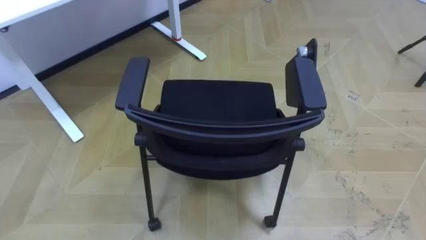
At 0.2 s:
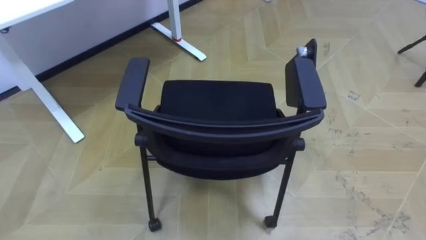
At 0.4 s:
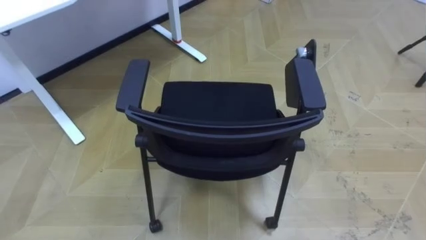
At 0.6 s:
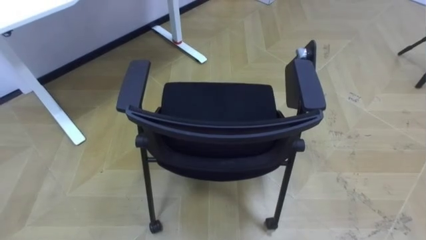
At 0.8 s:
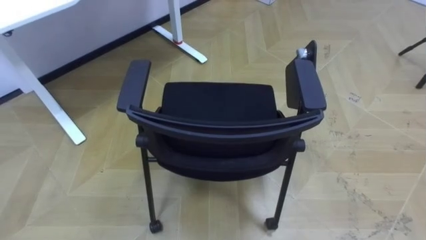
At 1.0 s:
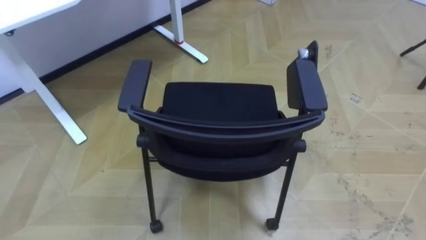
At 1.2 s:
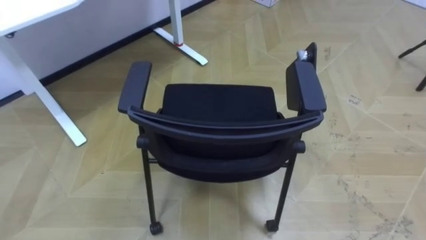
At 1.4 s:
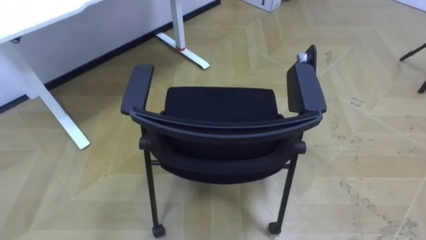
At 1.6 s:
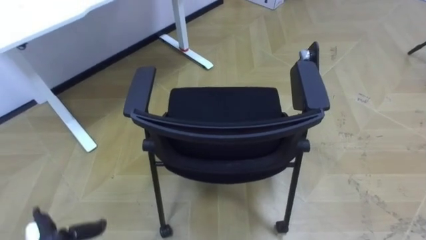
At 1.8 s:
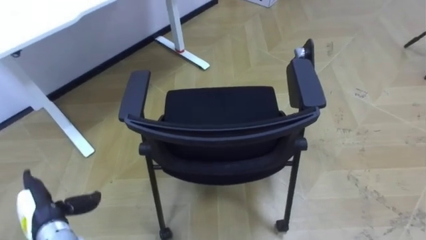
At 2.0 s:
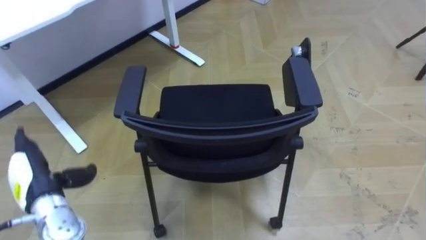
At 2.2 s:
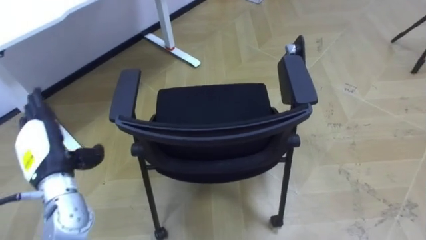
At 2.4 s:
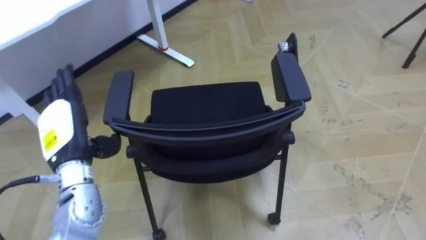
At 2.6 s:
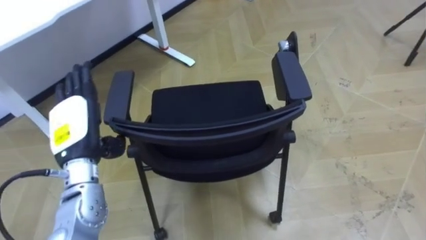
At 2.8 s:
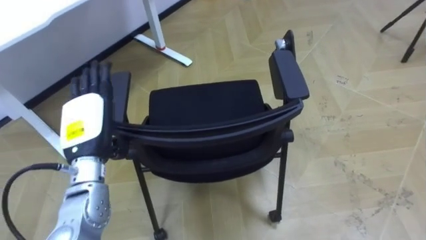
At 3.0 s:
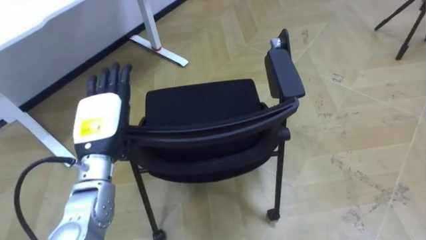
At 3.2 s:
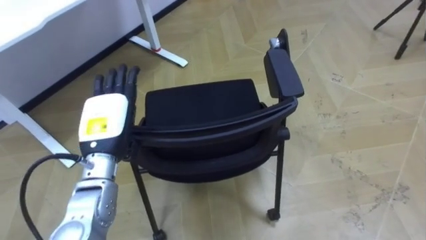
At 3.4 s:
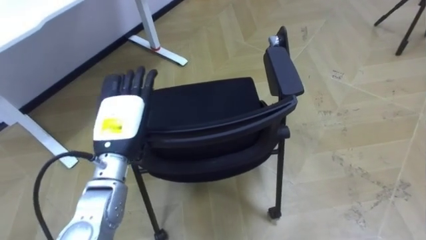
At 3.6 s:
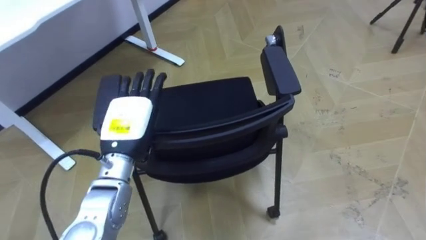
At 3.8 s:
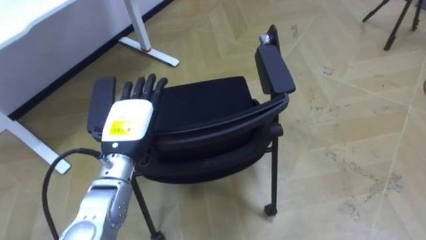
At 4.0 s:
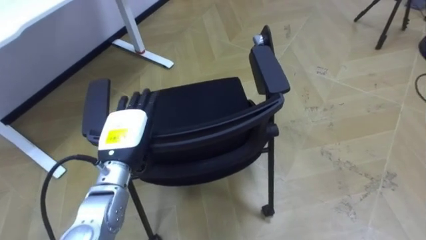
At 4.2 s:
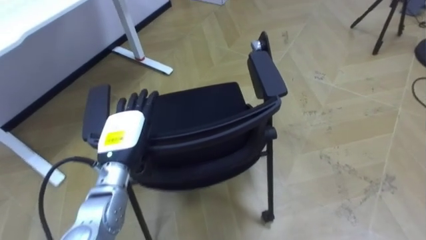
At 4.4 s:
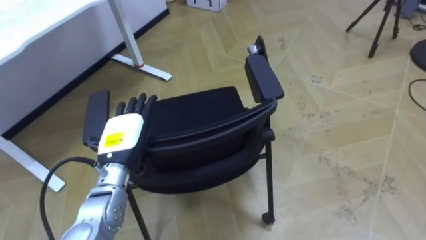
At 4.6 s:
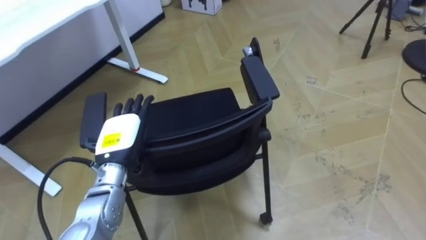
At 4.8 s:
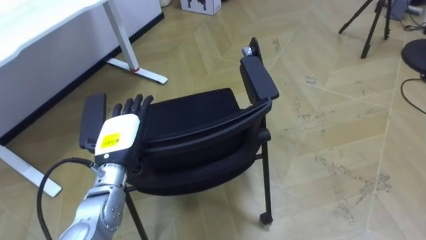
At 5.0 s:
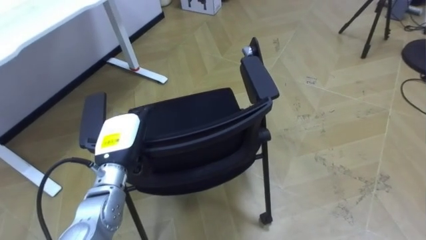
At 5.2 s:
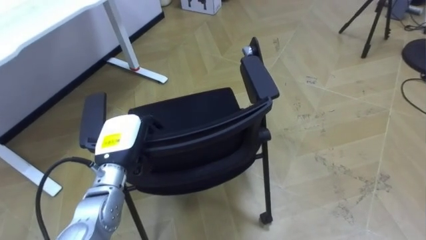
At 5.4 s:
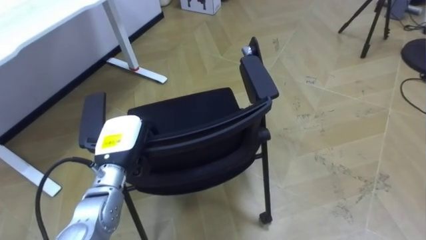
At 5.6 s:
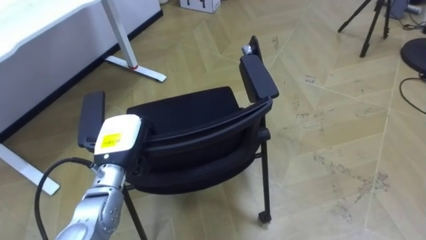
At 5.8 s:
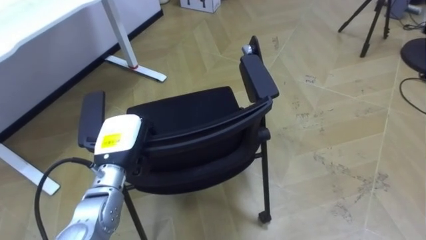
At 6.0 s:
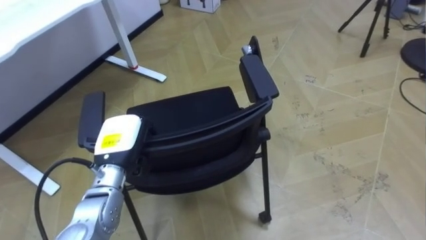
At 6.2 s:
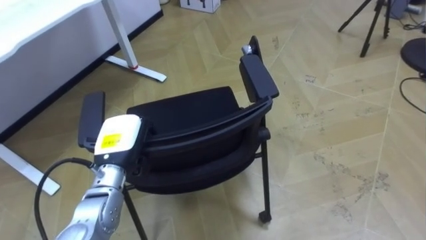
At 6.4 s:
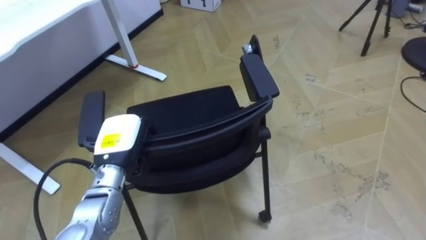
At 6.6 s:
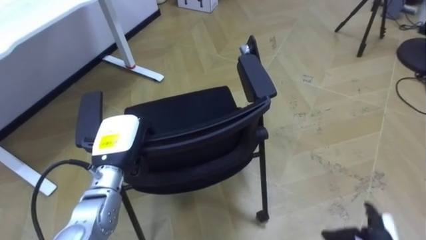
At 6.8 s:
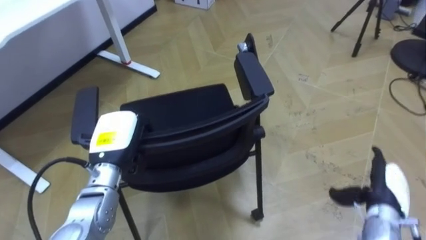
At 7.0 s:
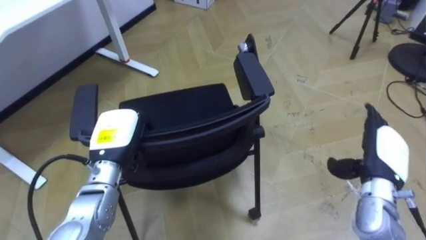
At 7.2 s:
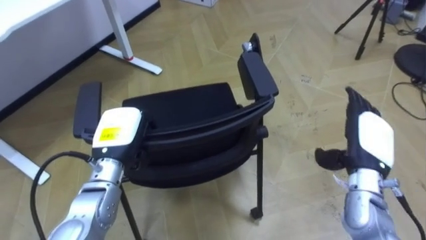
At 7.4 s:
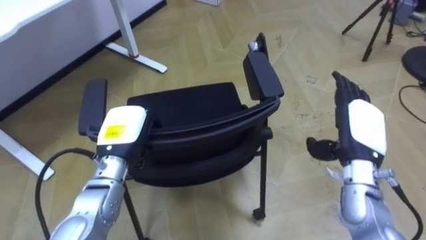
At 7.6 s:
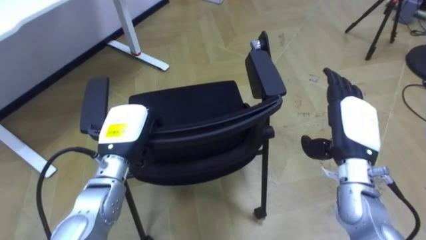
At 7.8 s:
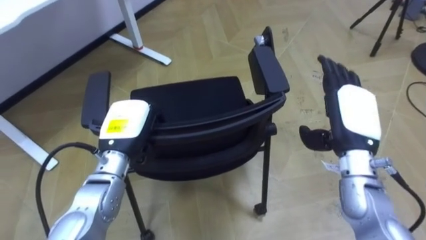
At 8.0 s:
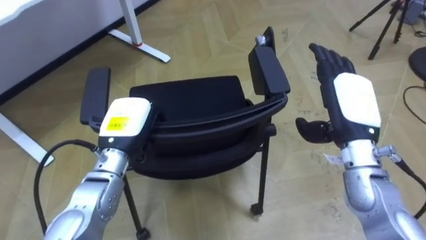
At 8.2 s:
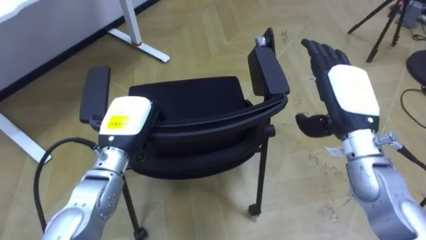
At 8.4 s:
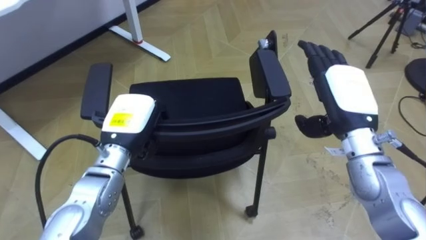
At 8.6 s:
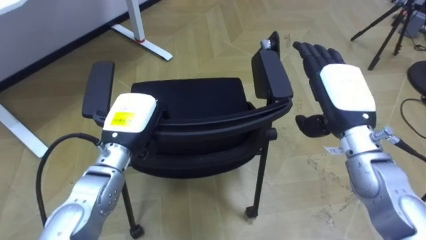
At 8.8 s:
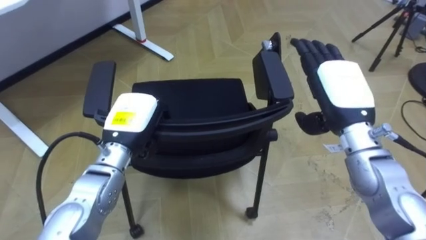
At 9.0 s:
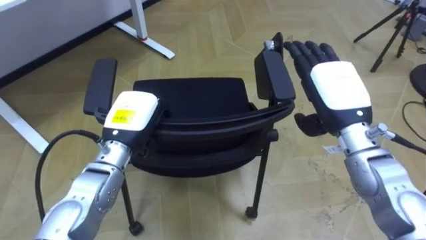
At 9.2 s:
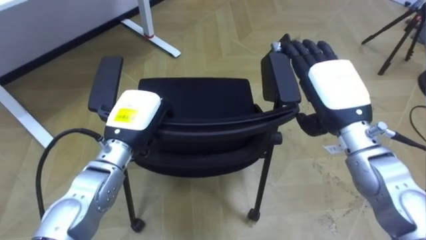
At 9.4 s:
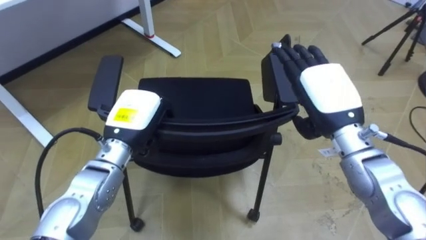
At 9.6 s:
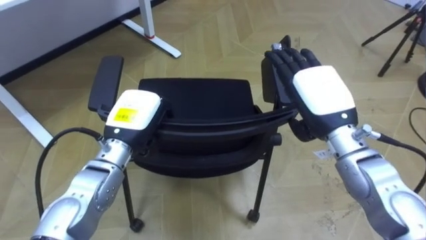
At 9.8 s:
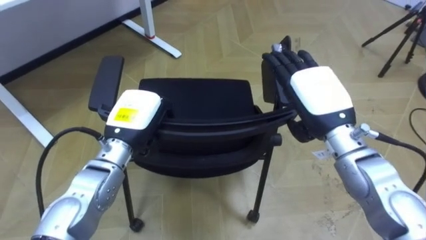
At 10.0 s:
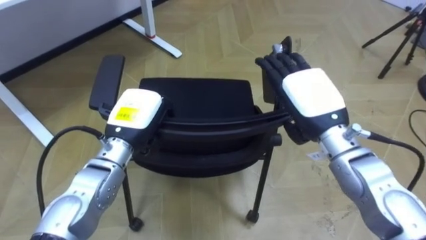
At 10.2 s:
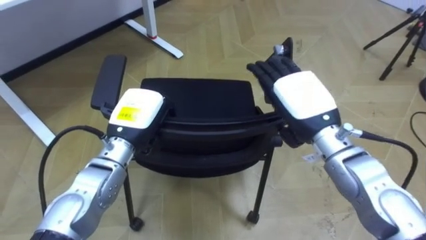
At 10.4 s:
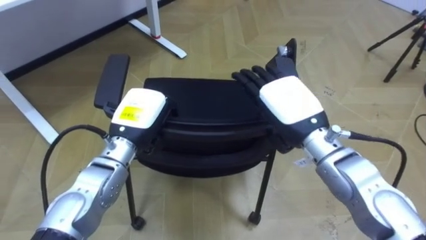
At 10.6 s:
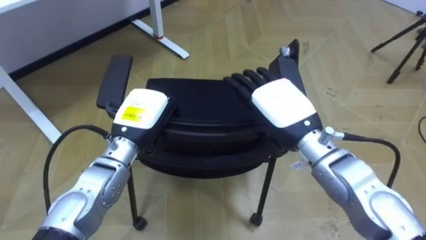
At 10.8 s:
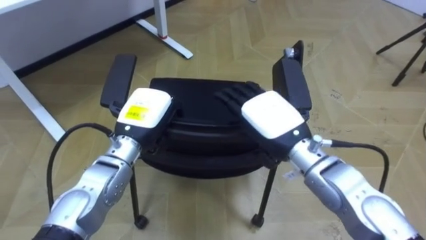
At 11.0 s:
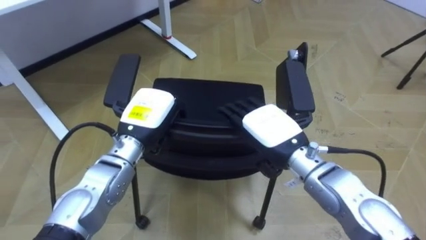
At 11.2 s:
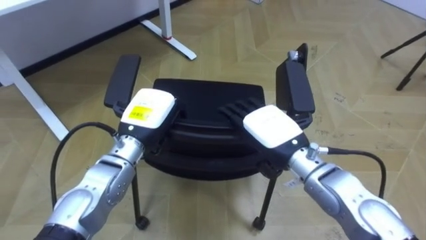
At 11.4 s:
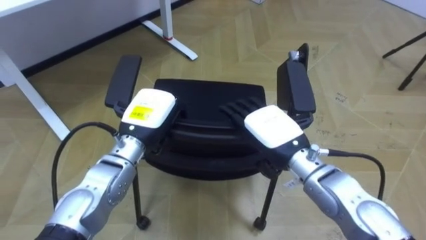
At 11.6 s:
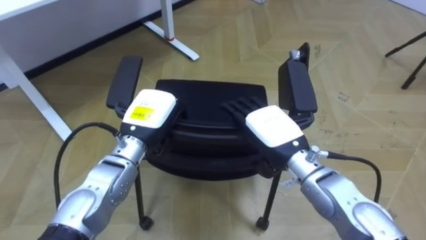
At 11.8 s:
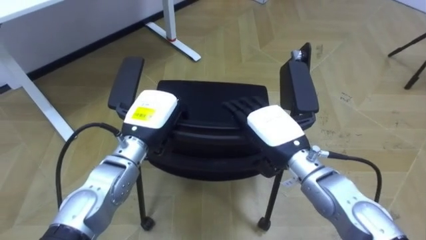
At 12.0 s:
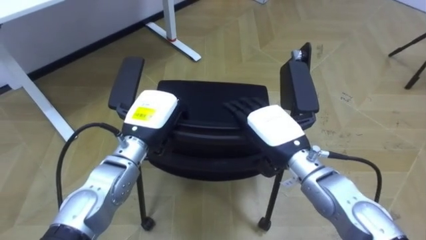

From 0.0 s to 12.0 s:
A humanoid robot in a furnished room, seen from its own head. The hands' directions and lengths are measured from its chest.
Task of the whole recording: Push the chair under the table.
From 3.0 s to 4.4 s: The left hand travels downward by about 5 cm.
From 4.4 s to 6.0 s: The left hand closes.
From 7.6 s to 9.0 s: The right hand travels upward by some 5 cm.
From 9.0 s to 10.4 s: The right hand shifts some 5 cm to the left.
From 10.4 s to 12.0 s: The right hand goes roughly 5 cm downward.

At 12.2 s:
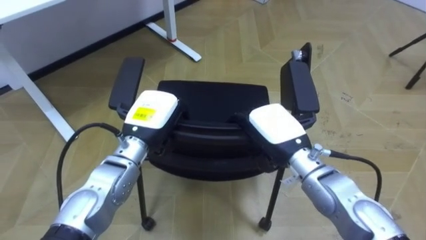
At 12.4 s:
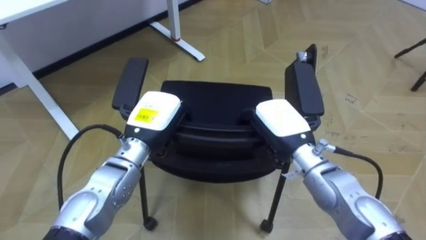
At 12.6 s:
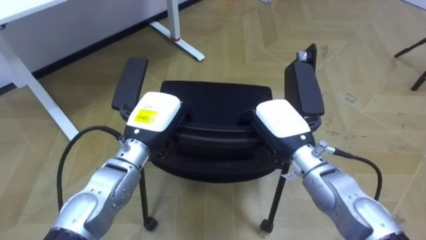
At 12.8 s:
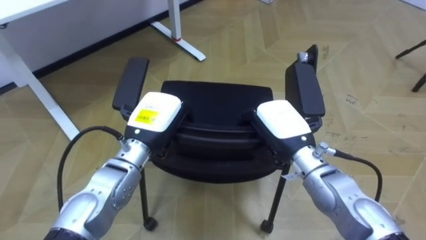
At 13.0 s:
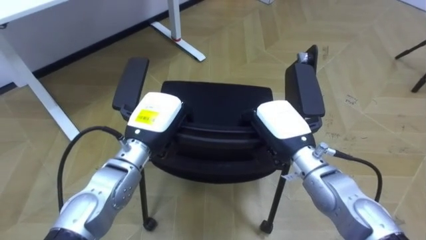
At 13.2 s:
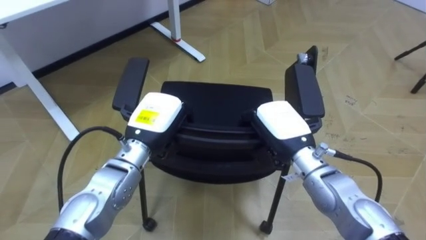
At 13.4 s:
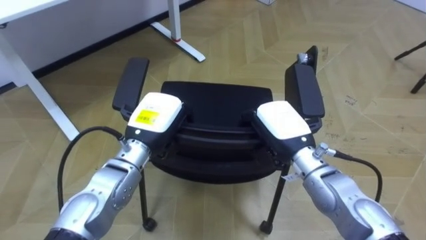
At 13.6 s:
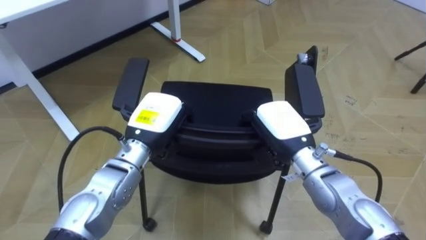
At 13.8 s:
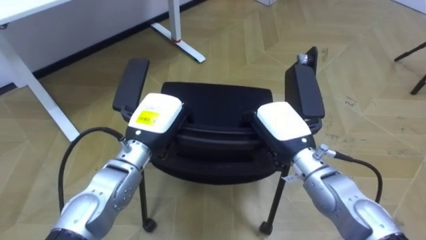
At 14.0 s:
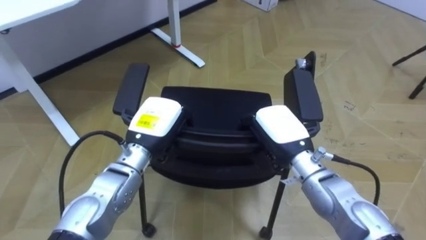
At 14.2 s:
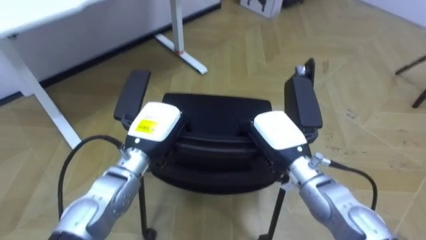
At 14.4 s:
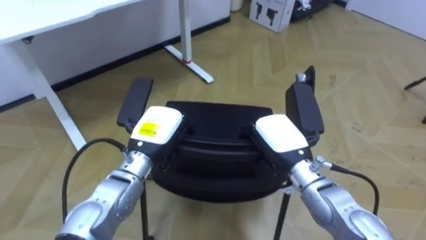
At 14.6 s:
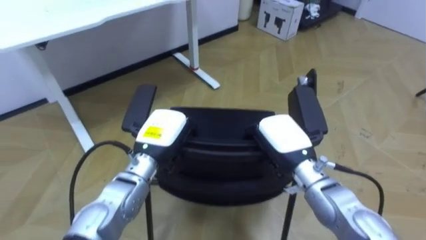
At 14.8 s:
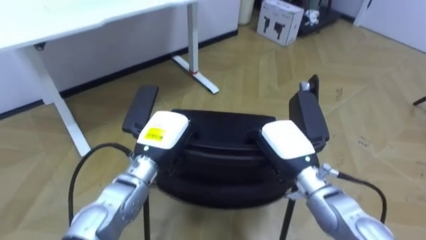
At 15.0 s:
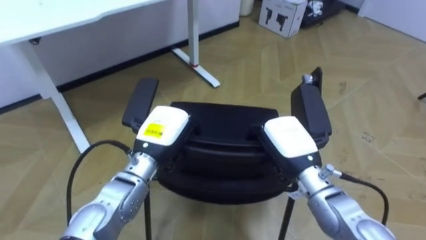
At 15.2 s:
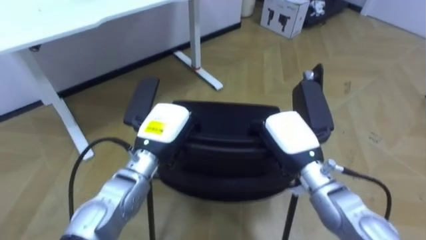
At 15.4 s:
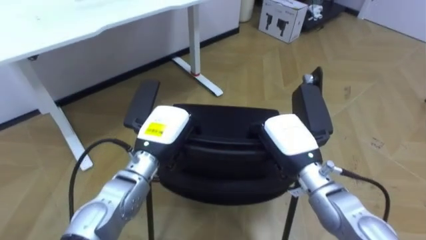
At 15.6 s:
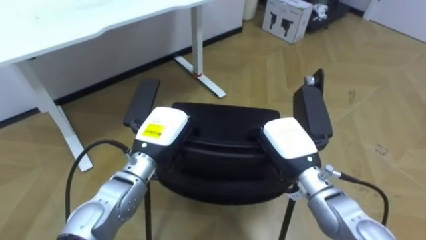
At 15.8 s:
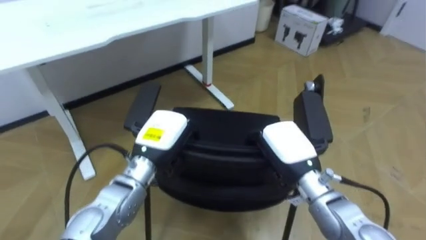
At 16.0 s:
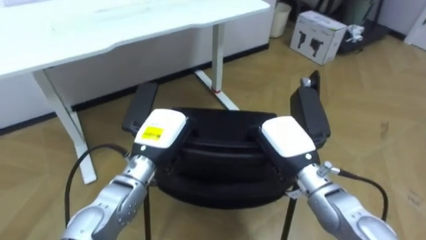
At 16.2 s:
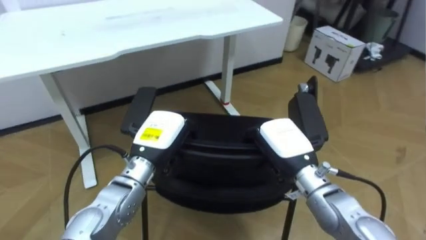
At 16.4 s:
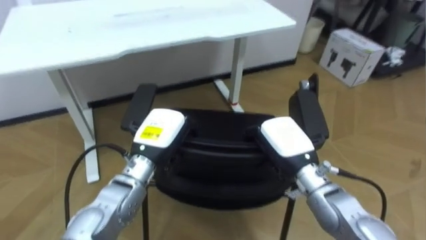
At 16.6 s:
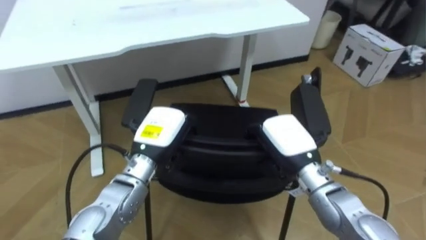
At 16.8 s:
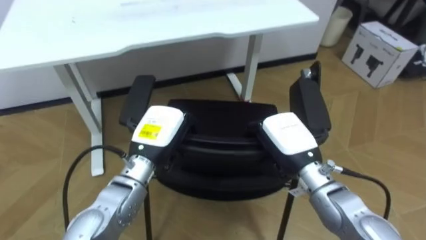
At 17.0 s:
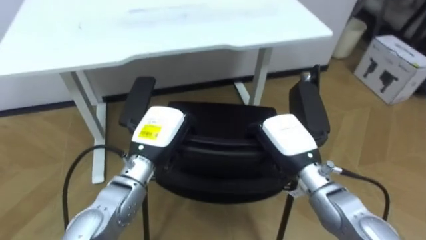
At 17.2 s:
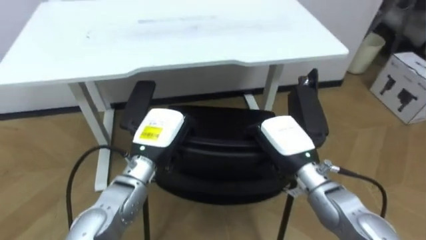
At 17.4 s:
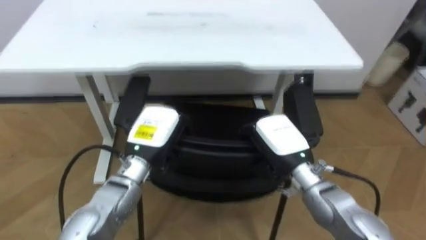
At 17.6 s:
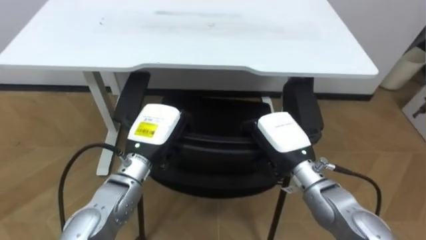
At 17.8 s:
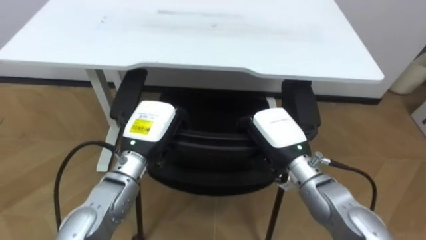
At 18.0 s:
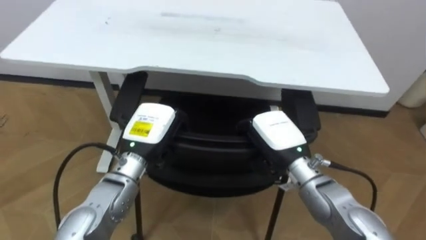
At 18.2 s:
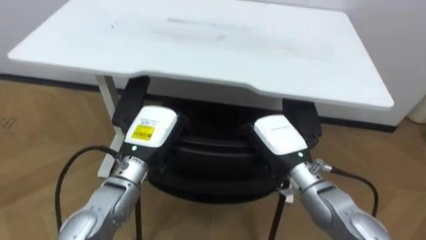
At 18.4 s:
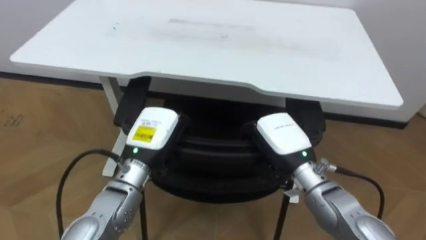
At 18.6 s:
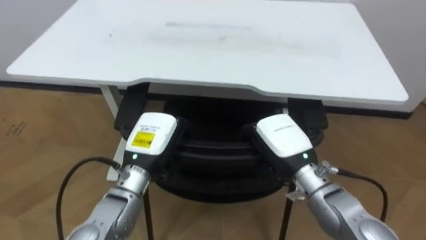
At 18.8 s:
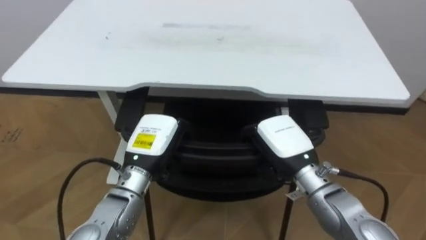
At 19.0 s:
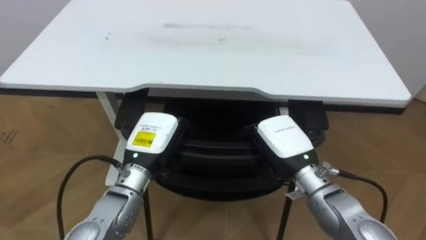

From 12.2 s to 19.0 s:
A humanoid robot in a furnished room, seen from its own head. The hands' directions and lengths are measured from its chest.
Task of the whole recording: Push the chair under the table.
From 12.2 s to 13.6 s: The right hand closes up.
From 16.2 s to 17.6 s: The robot faces about 15 degrees further to its left.
